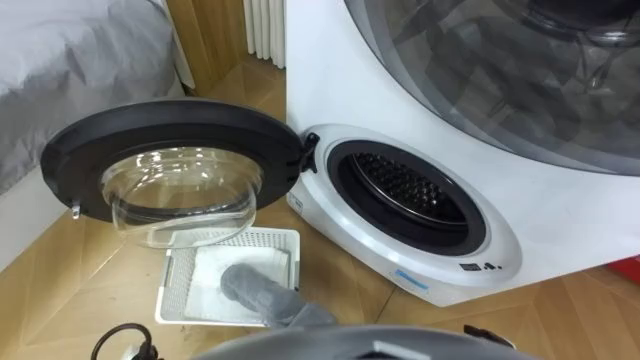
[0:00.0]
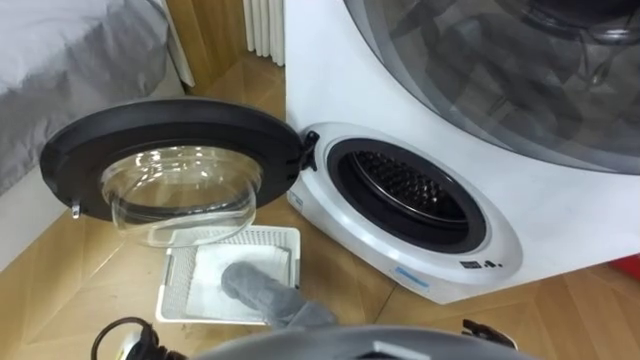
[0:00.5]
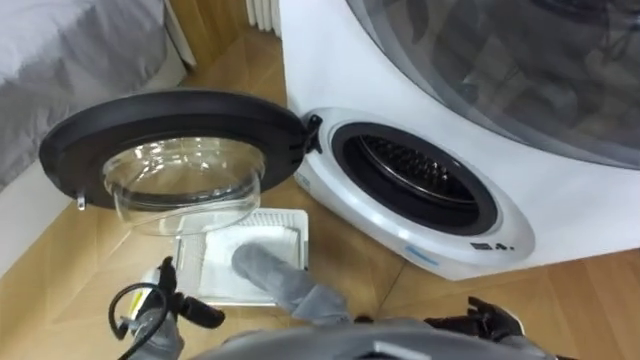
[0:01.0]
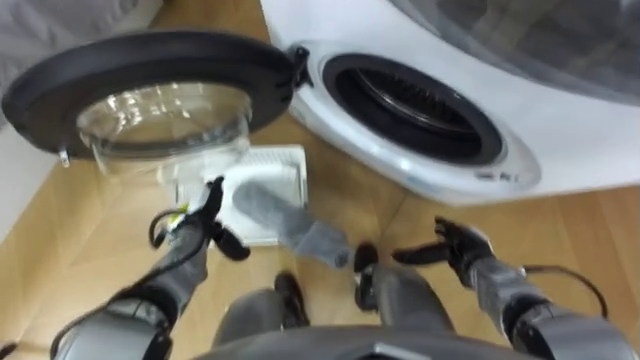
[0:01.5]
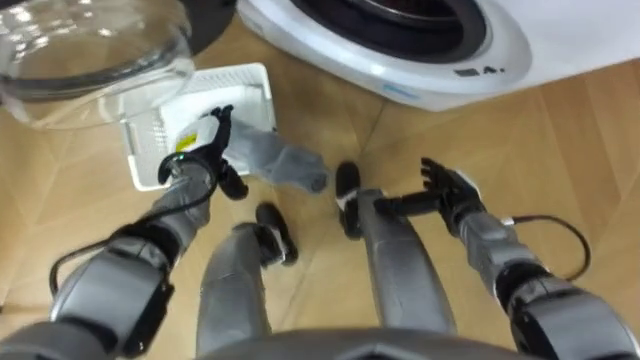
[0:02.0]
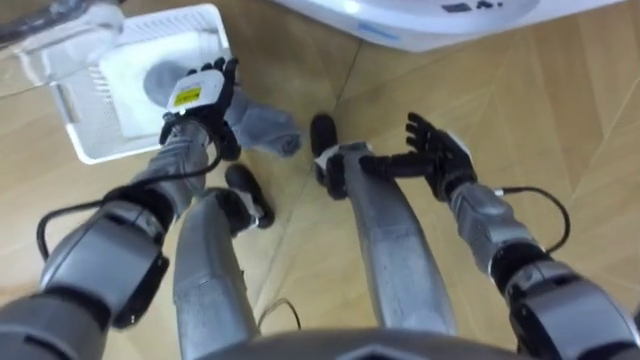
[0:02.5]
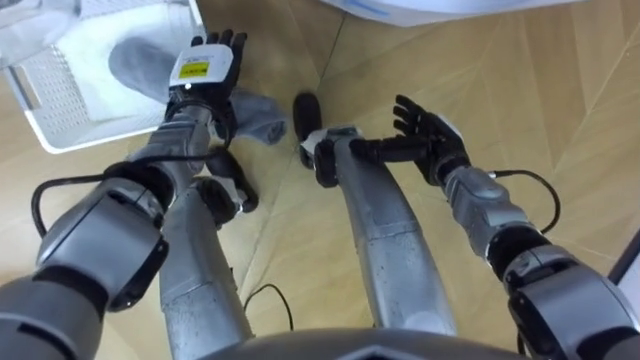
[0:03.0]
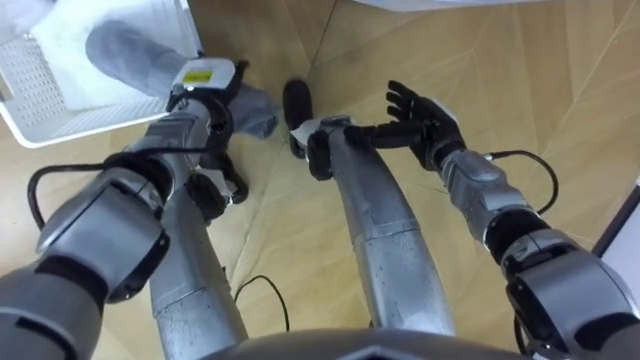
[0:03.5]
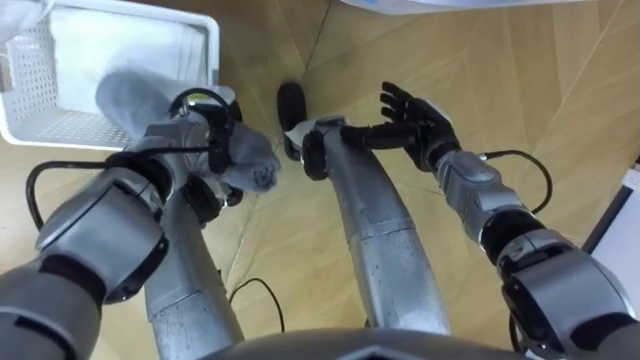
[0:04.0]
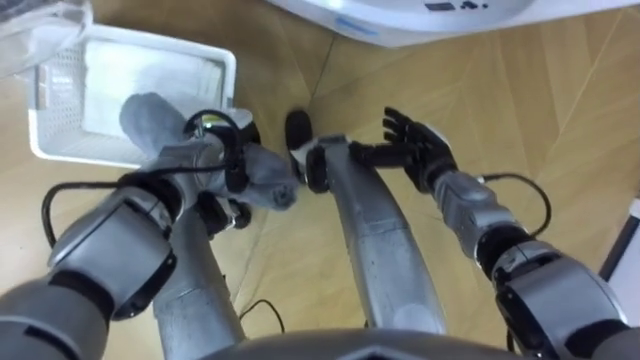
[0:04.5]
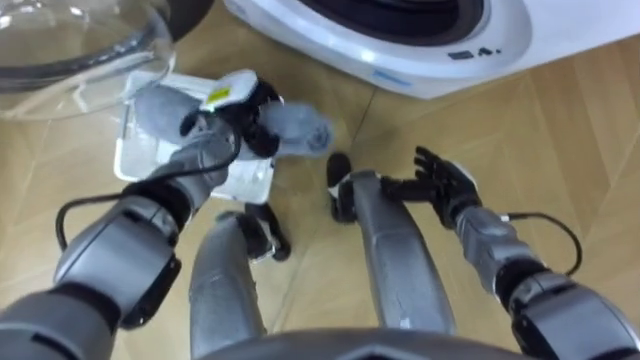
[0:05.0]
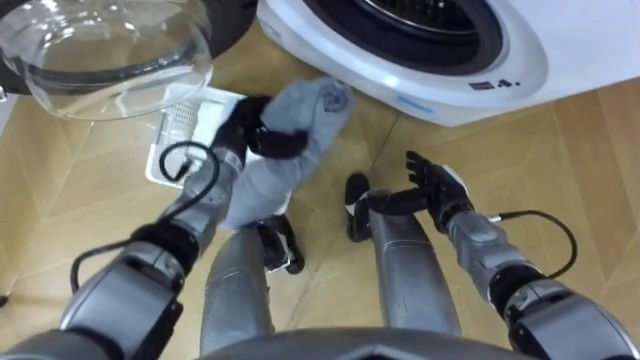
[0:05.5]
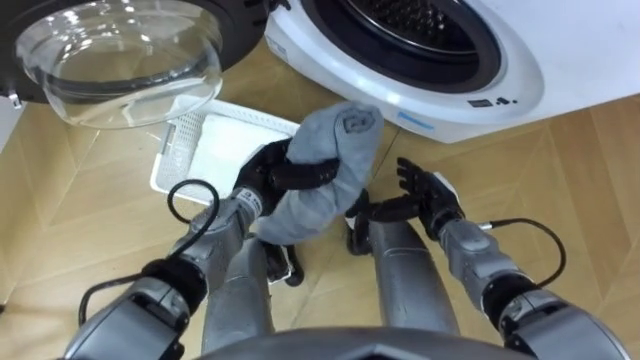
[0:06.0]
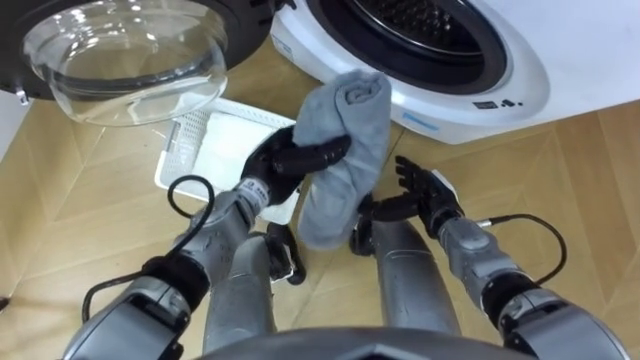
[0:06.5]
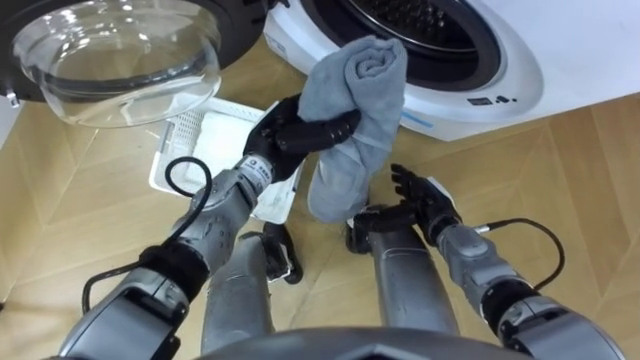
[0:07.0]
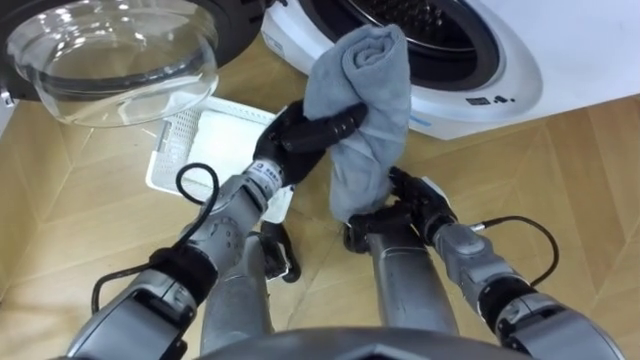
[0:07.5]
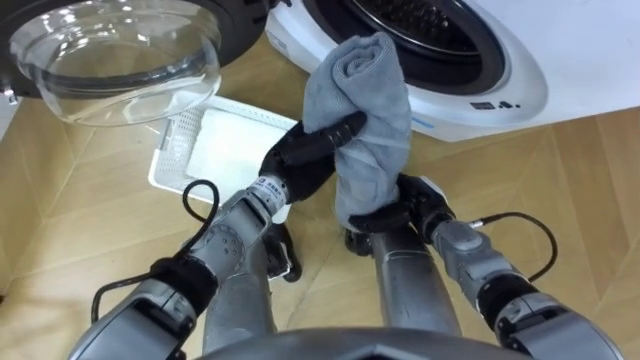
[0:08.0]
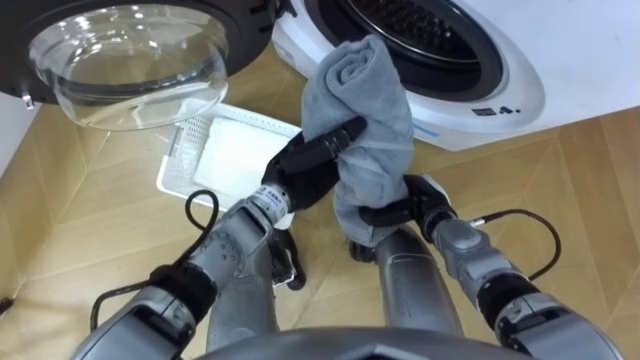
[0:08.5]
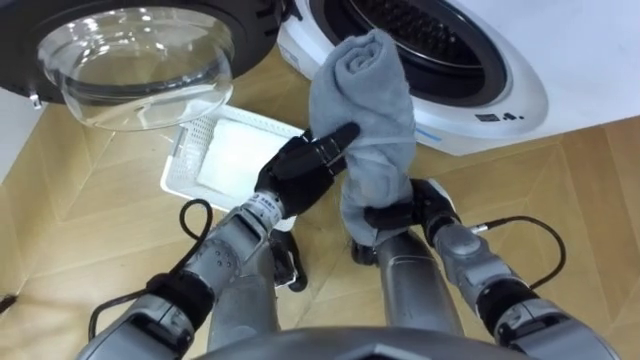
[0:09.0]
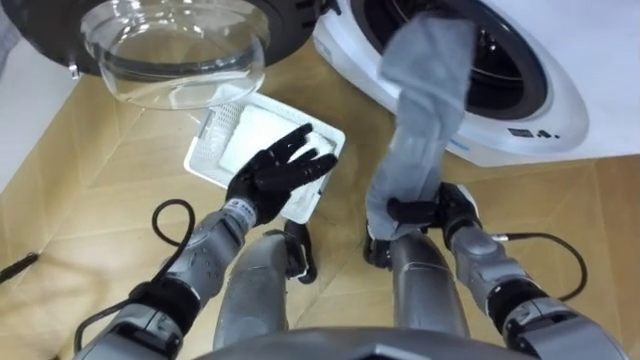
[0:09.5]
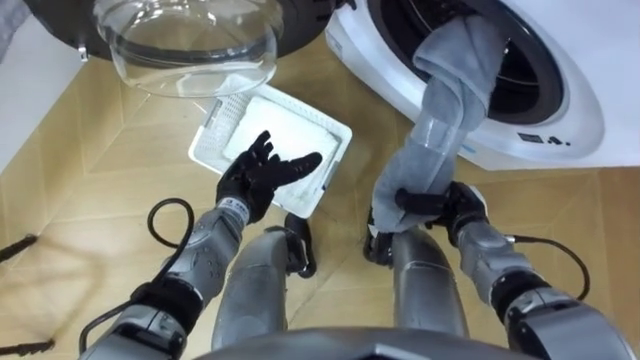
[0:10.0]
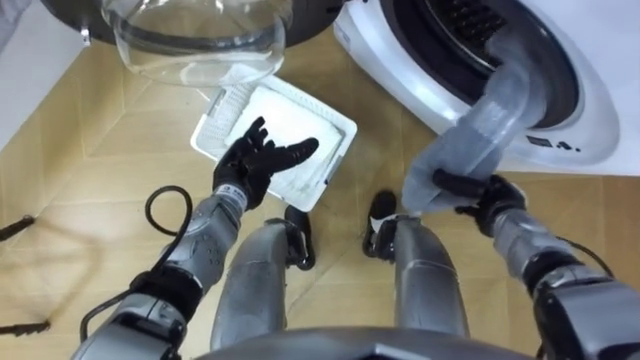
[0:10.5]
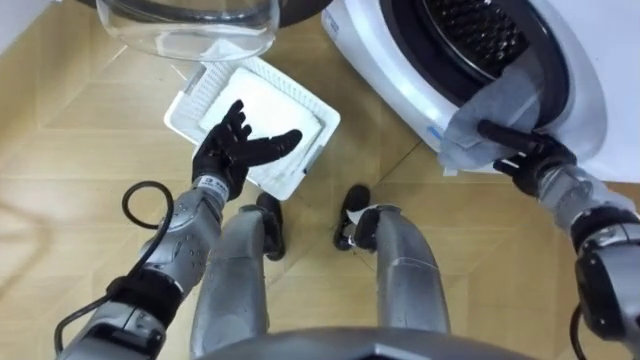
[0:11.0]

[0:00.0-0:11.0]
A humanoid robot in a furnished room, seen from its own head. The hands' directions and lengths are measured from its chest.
Task of the whole recording: Take the towel from the basket and put it into the washing machine.
0:02.0 to 0:03.5: The right hand shifts about 10 cm forward, upward and to the left. The left hand shifts about 10 cm forward and upward.
0:03.5 to 0:05.5: The left hand moves some 5 cm, and closes its fingers. Meanwhile the right hand shifts some 10 cm backward and downward.
0:05.5 to 0:07.5: The left hand is displaced to the right by roughly 10 cm.
0:07.5 to 0:09.0: The right hand closes.
0:09.0 to 0:11.0: The left hand travels to the left by some 10 cm, and opens up, while the right hand heads to the right, covering approximately 15 cm.

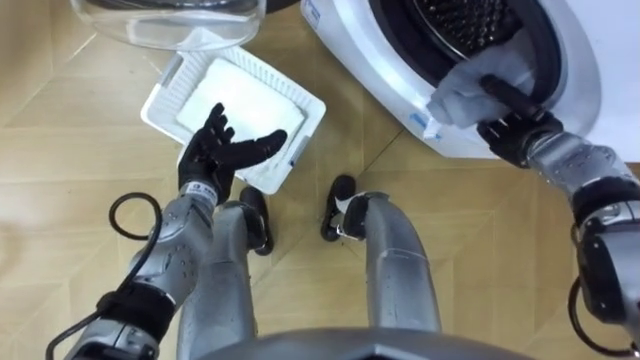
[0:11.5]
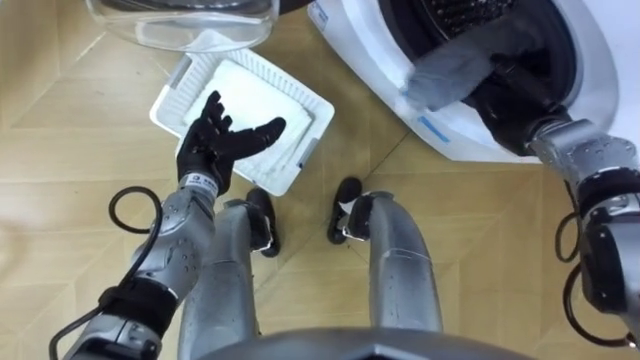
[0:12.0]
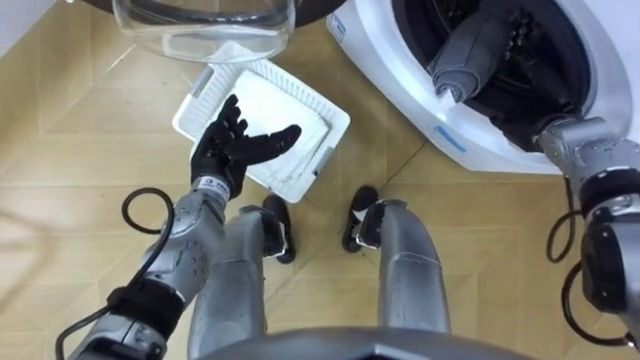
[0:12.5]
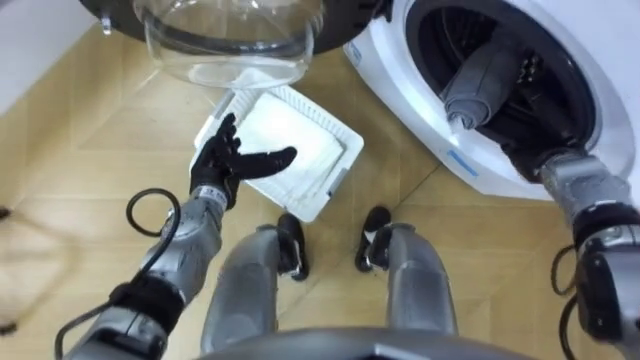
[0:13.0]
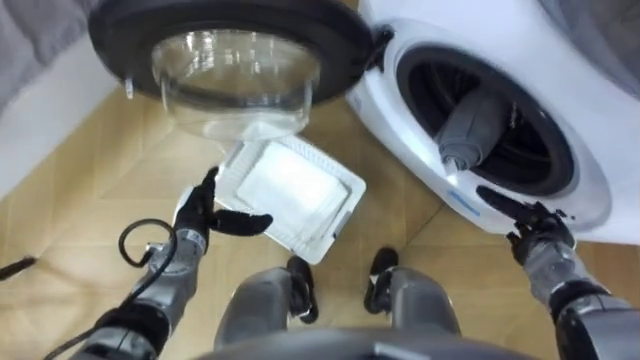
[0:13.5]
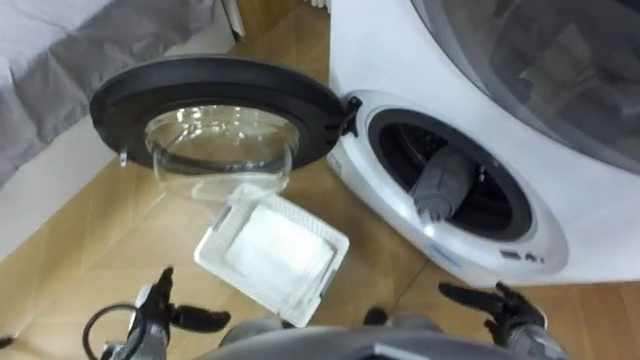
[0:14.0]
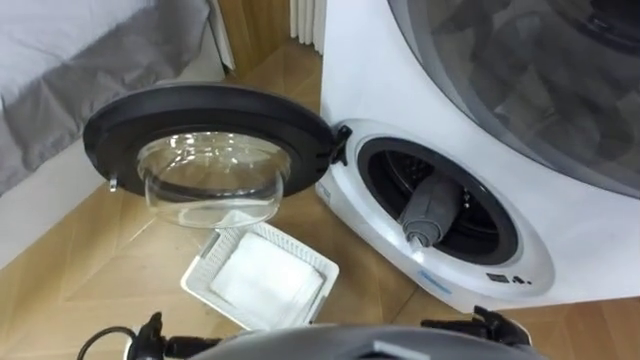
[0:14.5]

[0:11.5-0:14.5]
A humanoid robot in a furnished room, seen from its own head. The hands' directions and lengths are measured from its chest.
Task of the whole recording: Take the towel from the basket and put it into the washing machine.
0:11.5 to 0:13.0: The right hand opens up.
0:13.0 to 0:14.5: The right hand is displaced backward and downward by roughly 30 cm. Meanwhile the left hand is displaced backward, downward and to the left by some 30 cm.

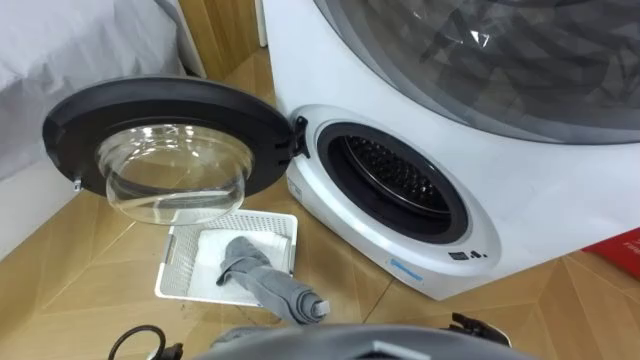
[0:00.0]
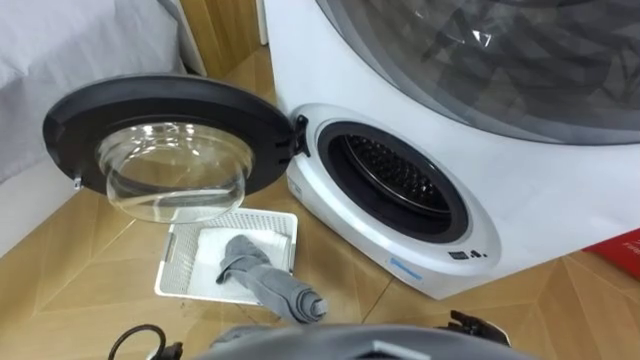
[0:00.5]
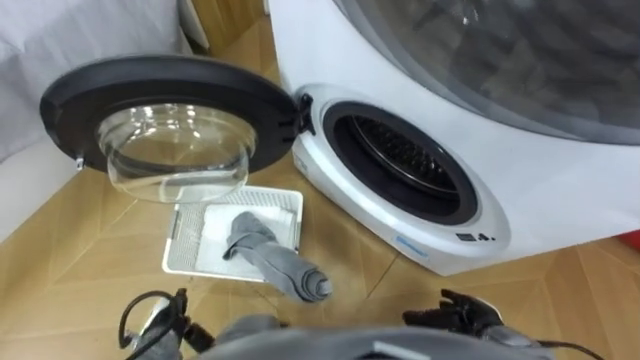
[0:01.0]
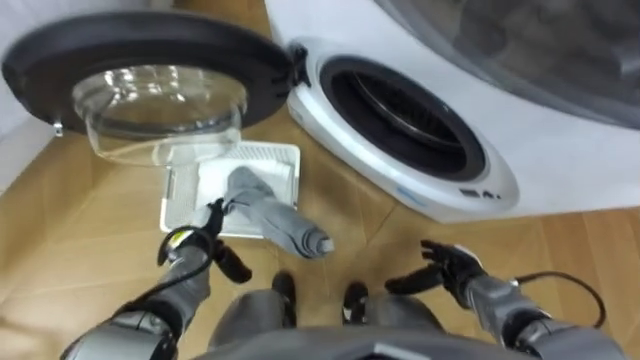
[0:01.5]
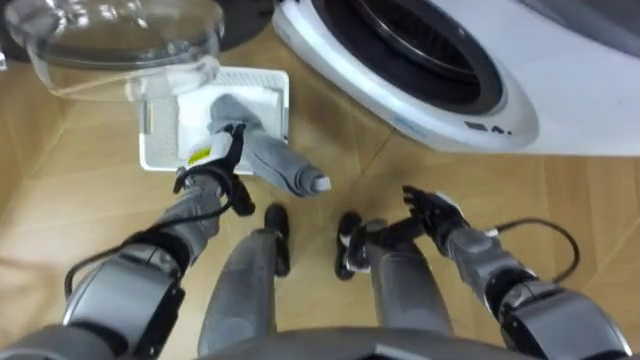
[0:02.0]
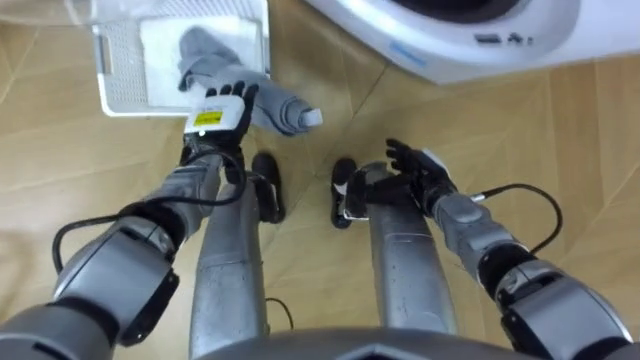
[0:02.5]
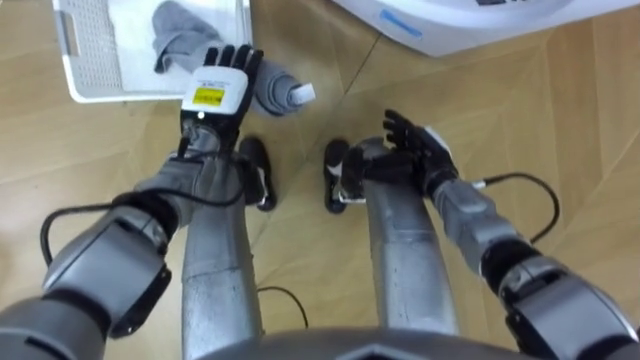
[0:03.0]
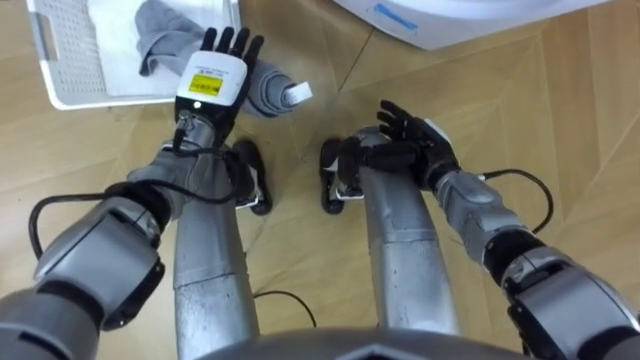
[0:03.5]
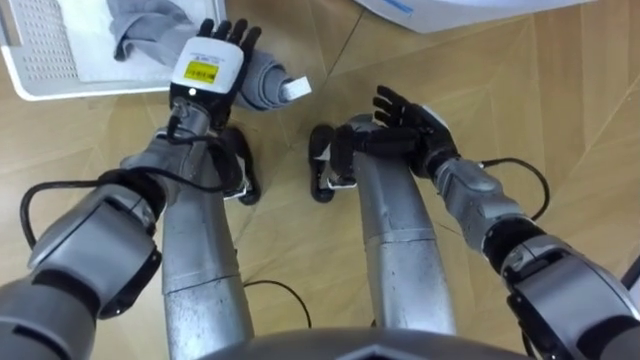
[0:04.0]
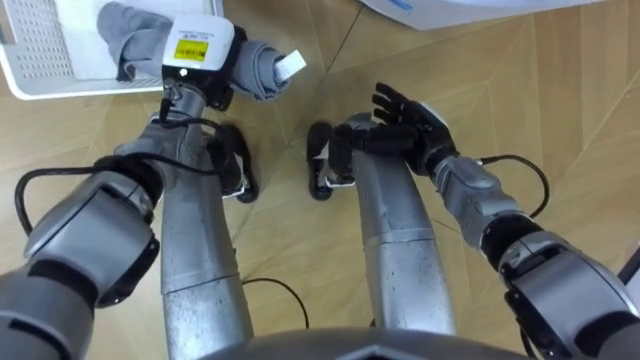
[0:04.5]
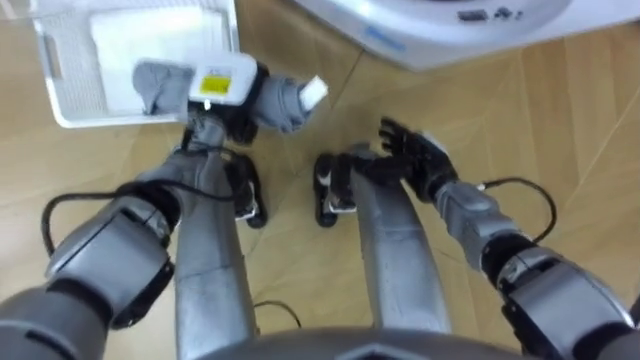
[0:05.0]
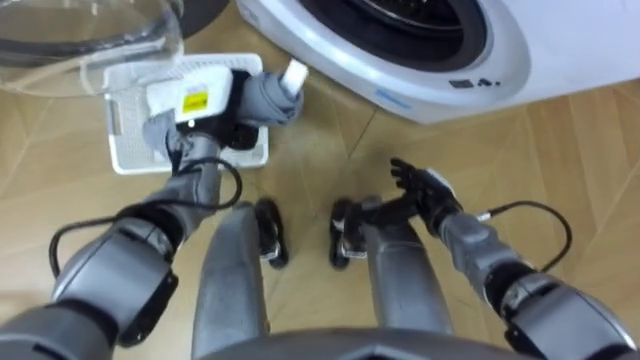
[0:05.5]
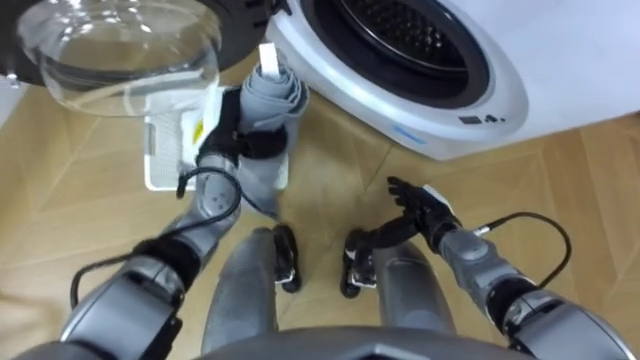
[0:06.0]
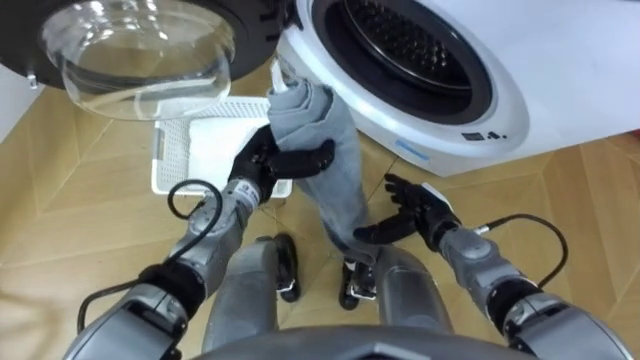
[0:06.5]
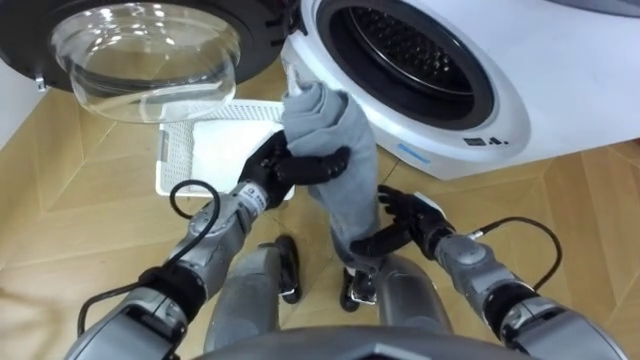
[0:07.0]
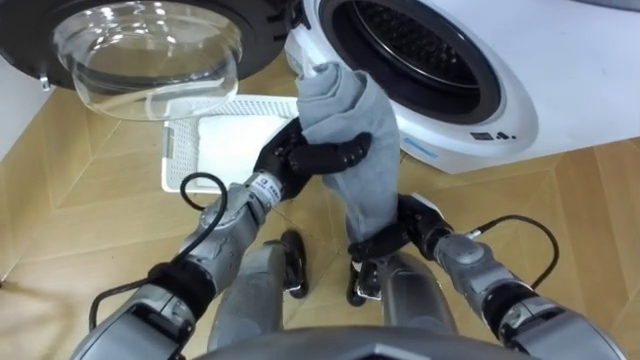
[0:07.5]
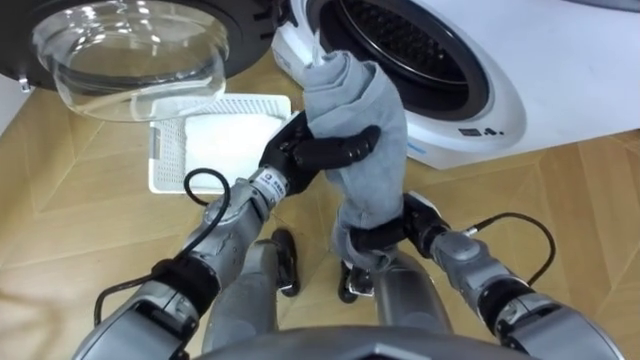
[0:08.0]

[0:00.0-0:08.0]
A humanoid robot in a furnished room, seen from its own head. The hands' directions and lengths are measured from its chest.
Task of the whole recording: Take the towel from the basket and put it into the washing machine.
0:02.0 to 0:04.0: The left hand moves upward and forward, some 15 cm. Meanwhile the right hand shifts about 15 cm forward and upward.
0:04.0 to 0:06.0: The right hand shifts some 10 cm backward and downward, while the left hand goes roughly 5 cm backward and downward, and closes.
0:06.0 to 0:08.0: The right hand closes; the left hand goes about 10 cm to the right.
